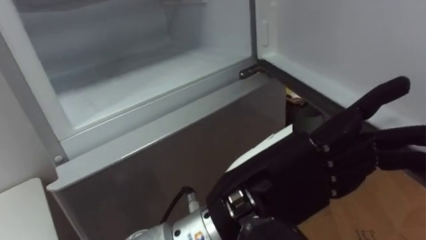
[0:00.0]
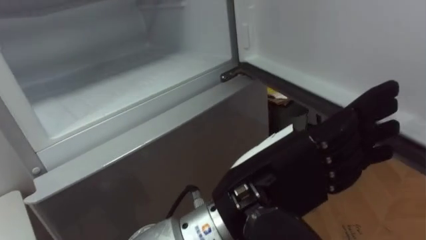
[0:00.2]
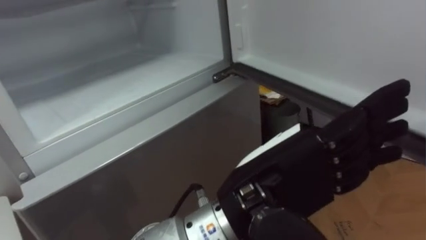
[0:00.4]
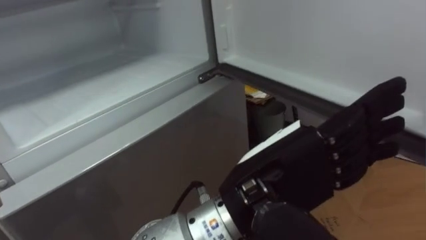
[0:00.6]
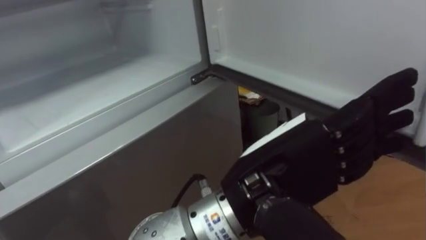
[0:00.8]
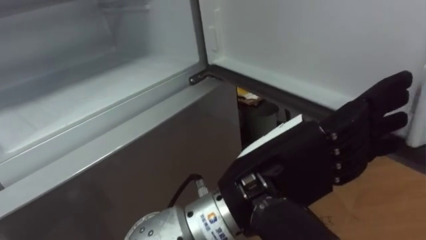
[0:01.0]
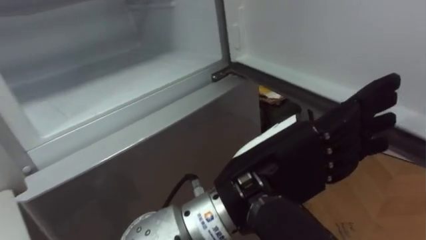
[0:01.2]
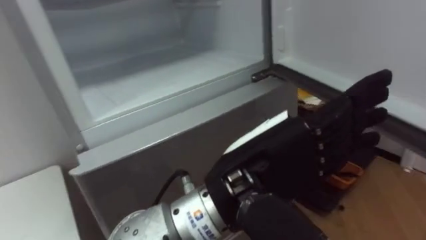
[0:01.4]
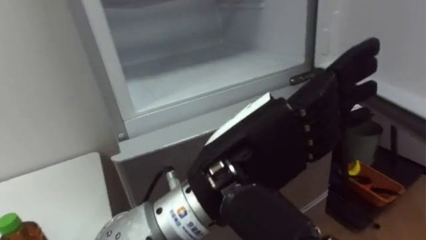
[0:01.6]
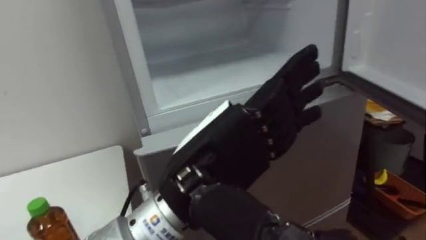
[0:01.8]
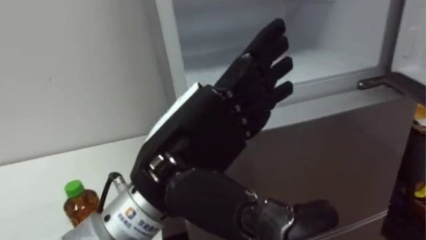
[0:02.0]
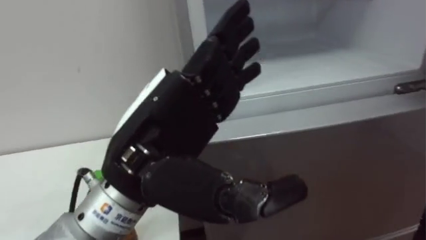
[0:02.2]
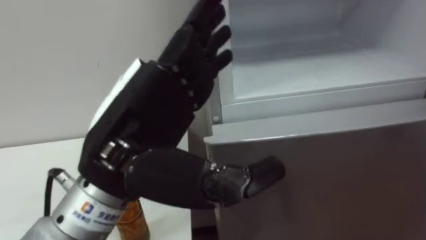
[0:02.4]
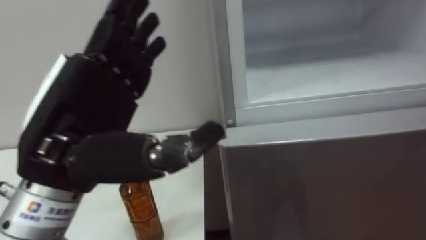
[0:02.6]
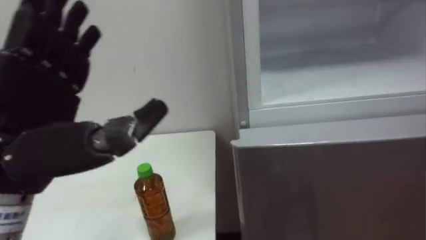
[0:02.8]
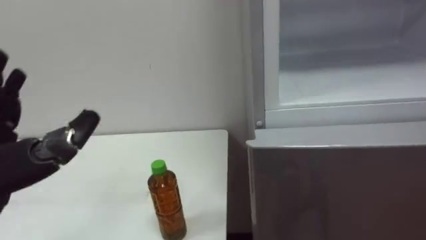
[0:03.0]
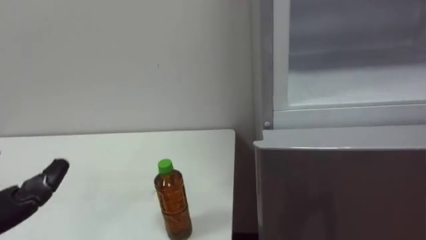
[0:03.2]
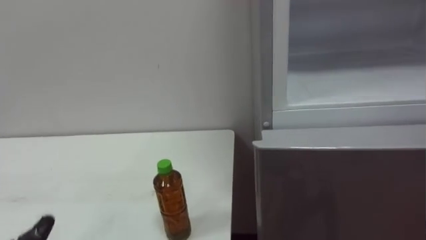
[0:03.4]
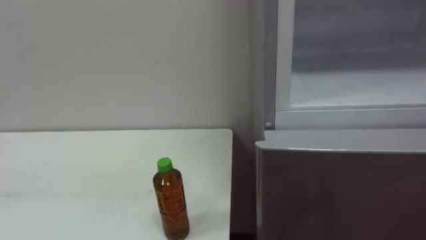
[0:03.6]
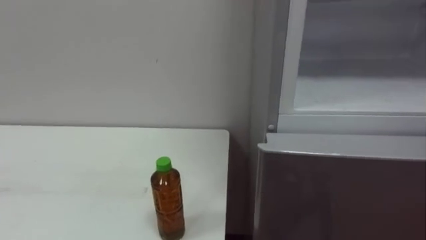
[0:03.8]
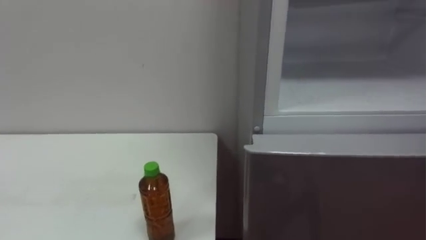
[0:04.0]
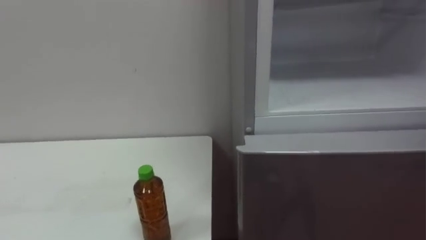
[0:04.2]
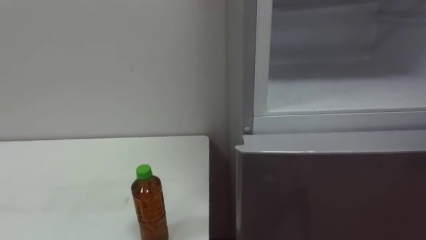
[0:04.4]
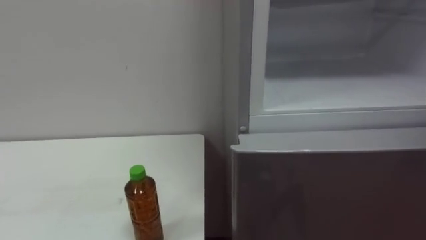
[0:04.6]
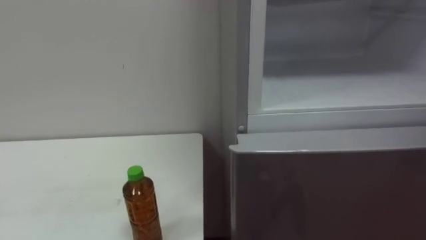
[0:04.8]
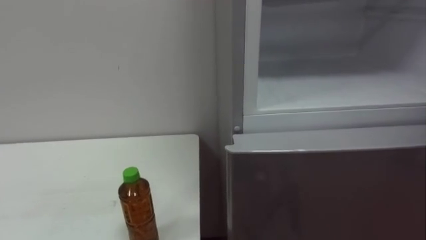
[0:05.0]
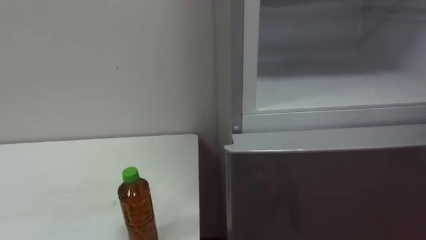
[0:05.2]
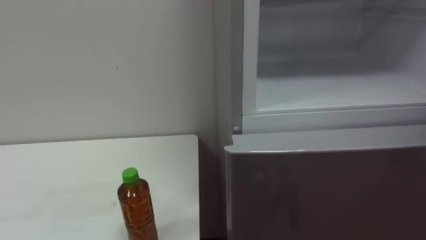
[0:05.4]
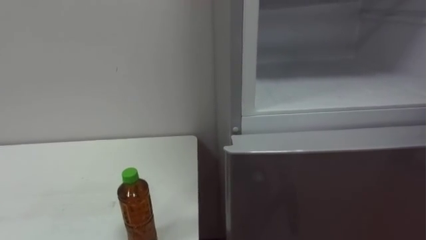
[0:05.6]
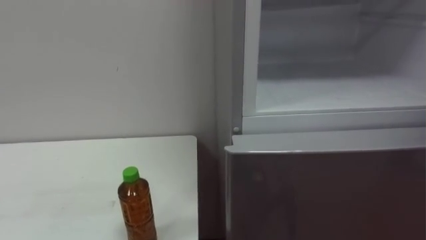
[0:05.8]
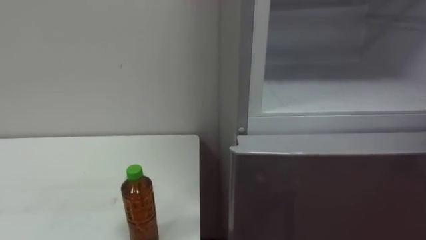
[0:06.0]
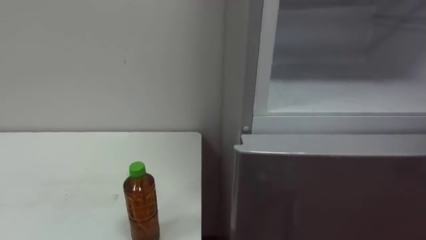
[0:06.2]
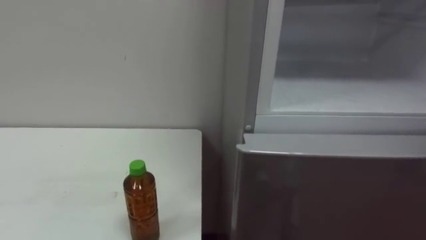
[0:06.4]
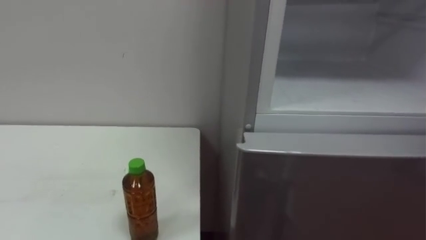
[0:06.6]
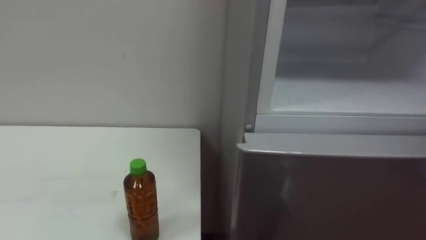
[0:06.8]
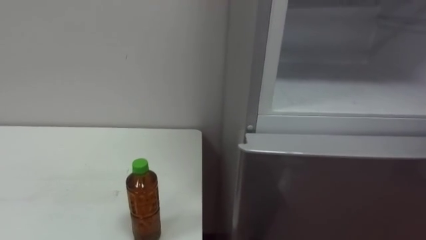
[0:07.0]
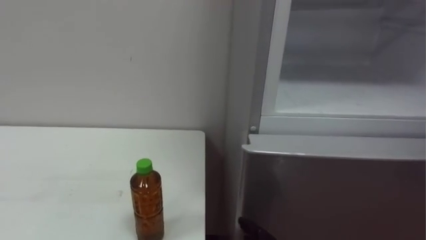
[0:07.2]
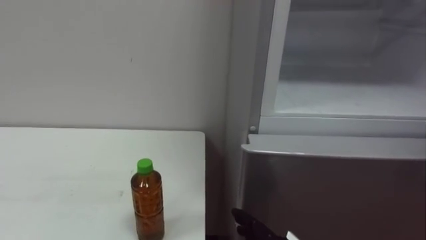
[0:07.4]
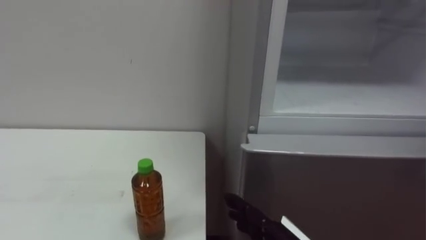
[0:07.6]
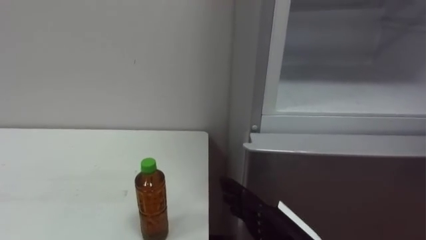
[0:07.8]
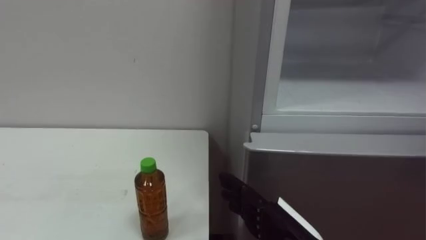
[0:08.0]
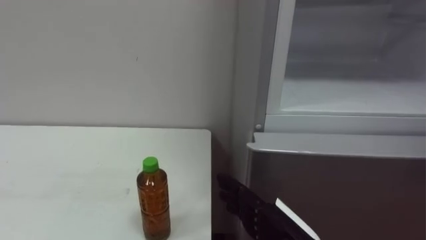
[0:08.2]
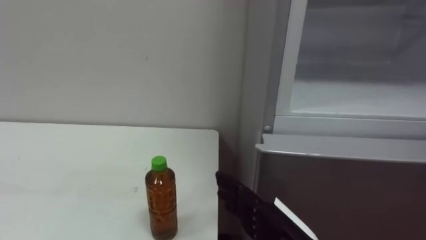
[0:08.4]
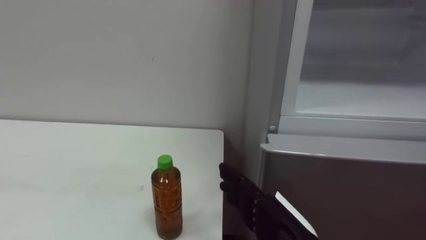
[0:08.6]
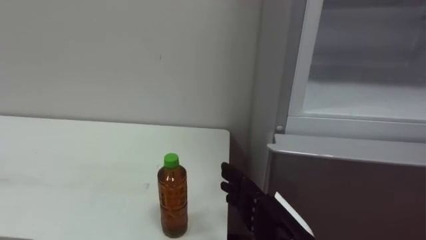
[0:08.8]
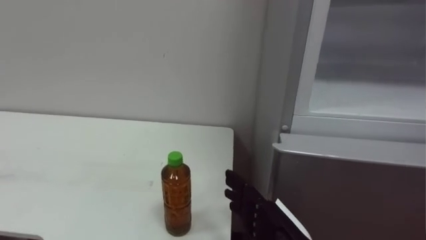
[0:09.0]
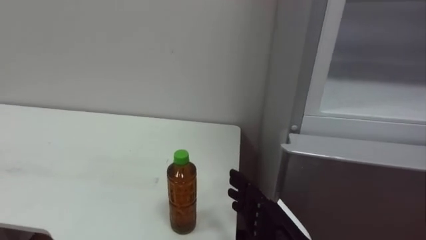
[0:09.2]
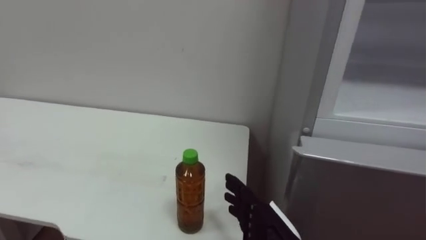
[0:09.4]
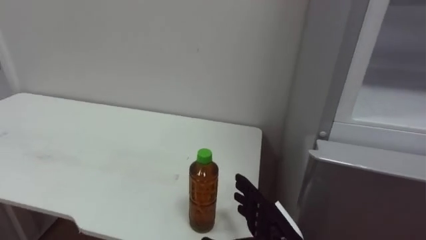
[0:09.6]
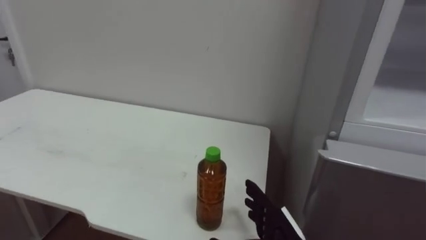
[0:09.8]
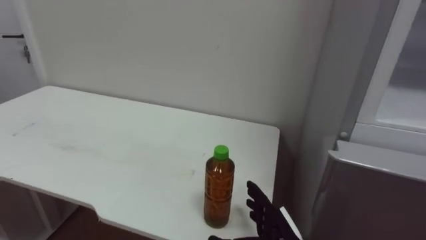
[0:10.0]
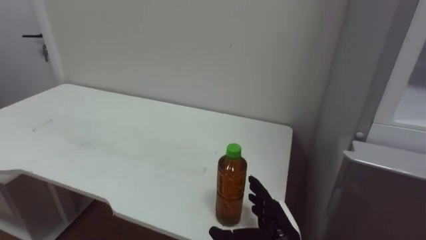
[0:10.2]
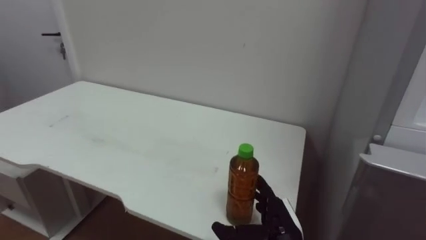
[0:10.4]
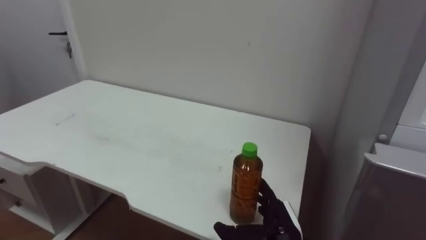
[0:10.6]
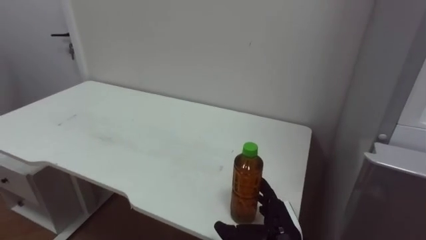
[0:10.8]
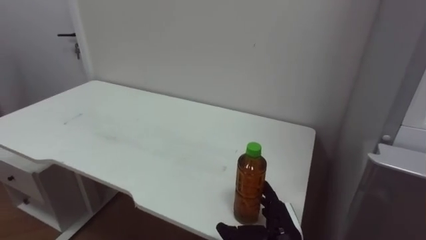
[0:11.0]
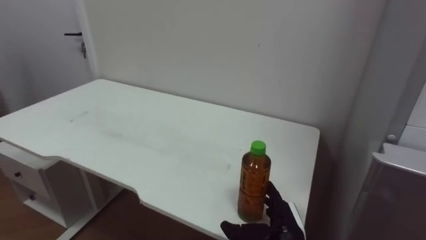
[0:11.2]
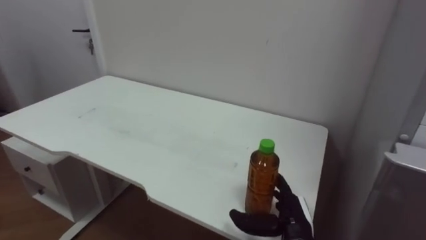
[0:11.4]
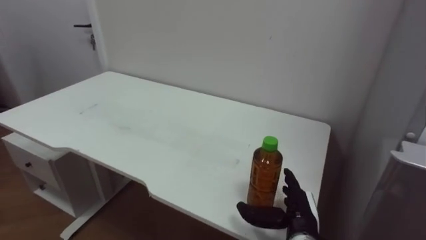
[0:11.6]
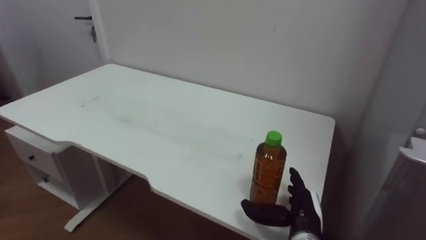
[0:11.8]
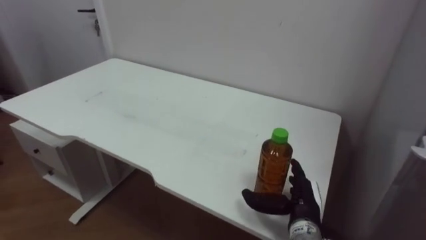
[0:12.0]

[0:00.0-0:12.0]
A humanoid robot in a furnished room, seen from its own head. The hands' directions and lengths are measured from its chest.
Task of the whole recording: Open the upper refrigerator door, put the drink from the table into the refrigerator, and then close the refrigerator door.
0:09.0 to 0:10.4: The right hand is displaced downward and forward by about 10 cm.
0:10.4 to 0:12.0: The right hand shifts by approximately 5 cm.

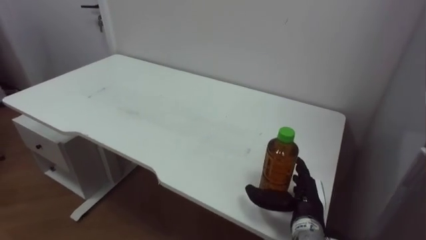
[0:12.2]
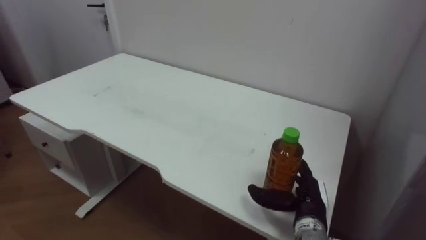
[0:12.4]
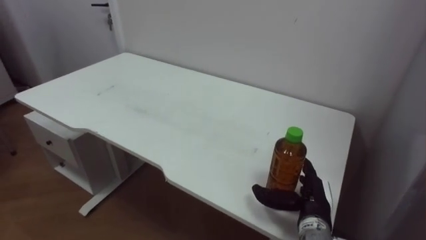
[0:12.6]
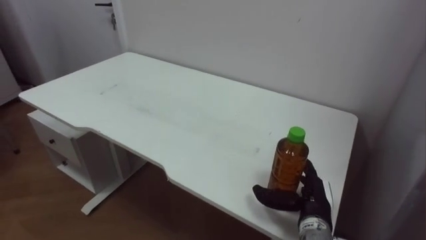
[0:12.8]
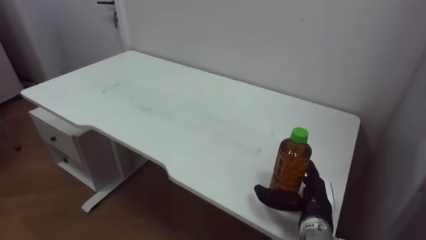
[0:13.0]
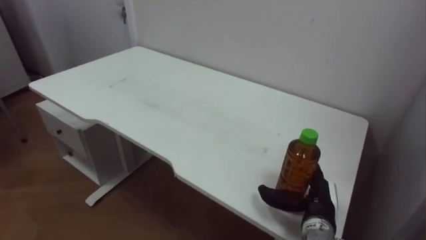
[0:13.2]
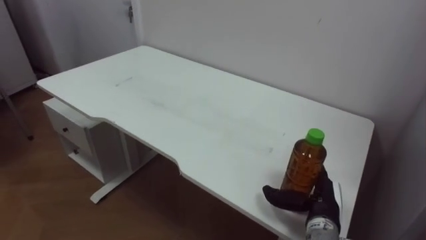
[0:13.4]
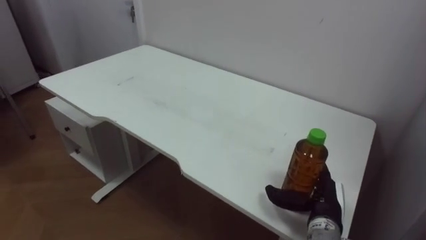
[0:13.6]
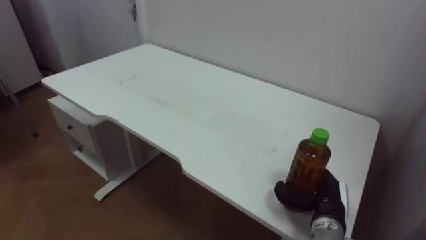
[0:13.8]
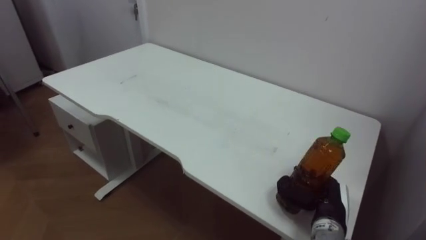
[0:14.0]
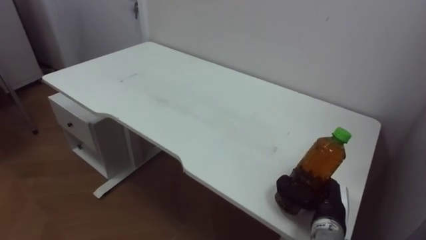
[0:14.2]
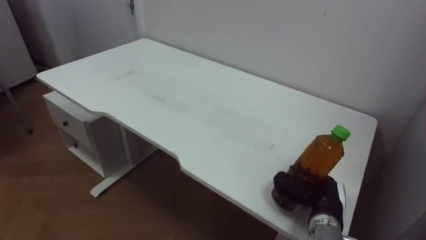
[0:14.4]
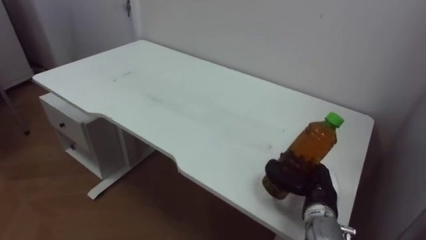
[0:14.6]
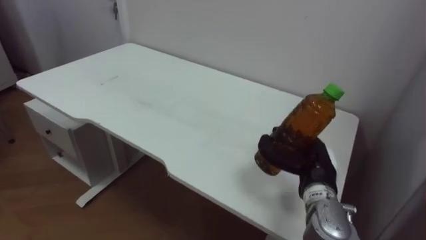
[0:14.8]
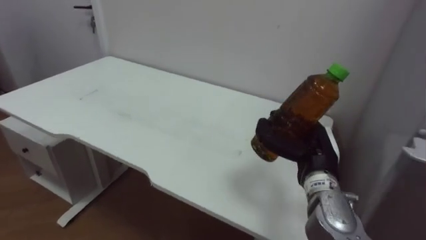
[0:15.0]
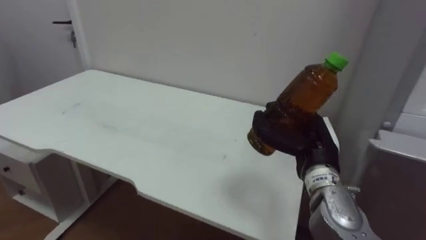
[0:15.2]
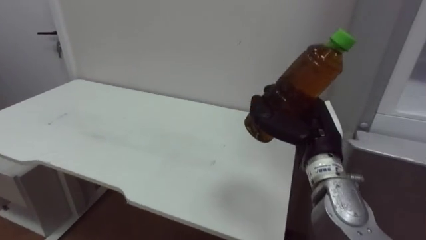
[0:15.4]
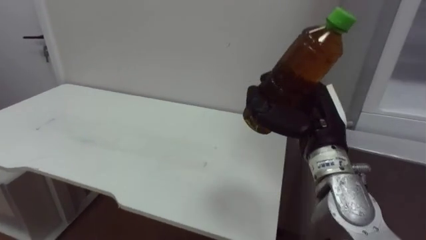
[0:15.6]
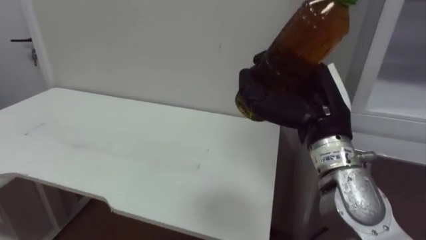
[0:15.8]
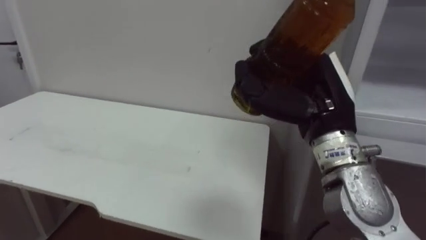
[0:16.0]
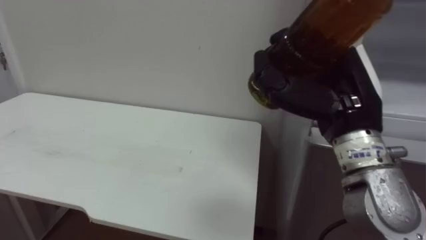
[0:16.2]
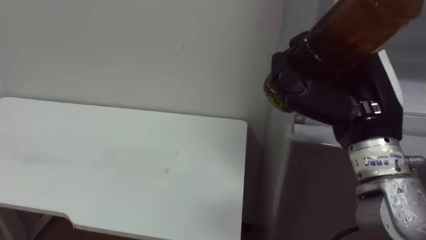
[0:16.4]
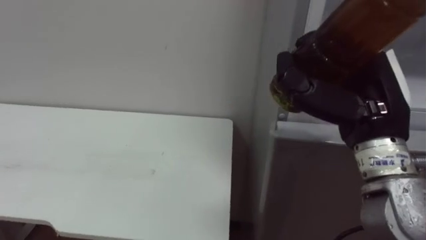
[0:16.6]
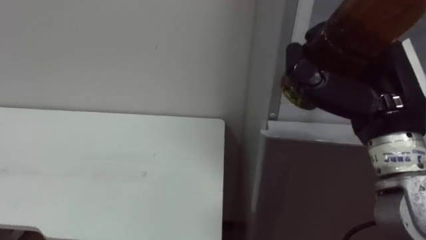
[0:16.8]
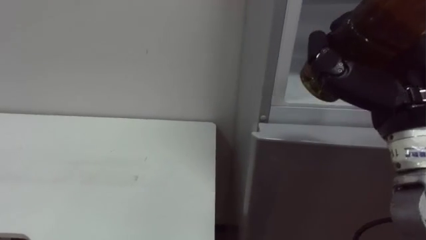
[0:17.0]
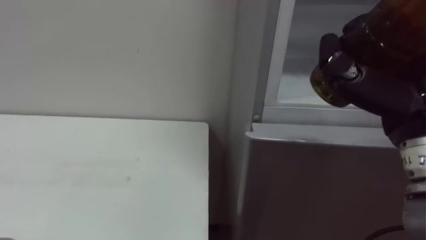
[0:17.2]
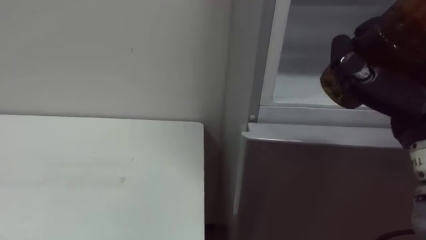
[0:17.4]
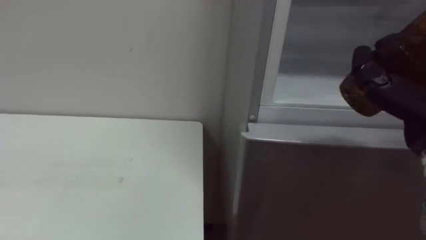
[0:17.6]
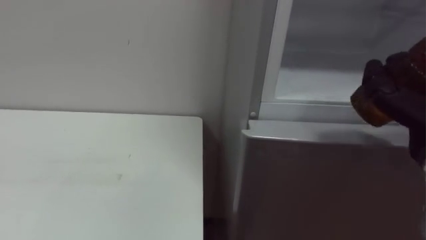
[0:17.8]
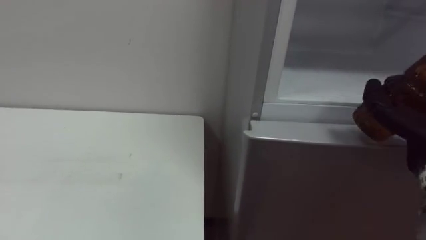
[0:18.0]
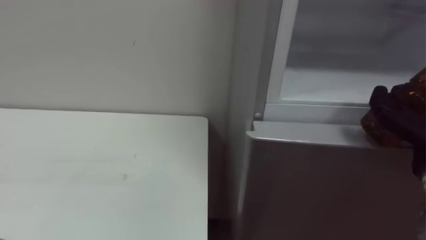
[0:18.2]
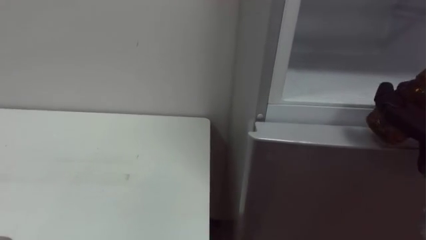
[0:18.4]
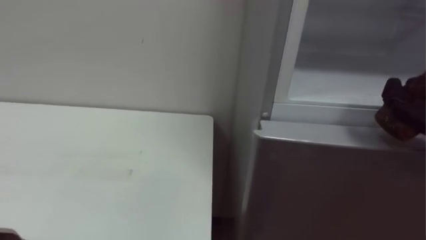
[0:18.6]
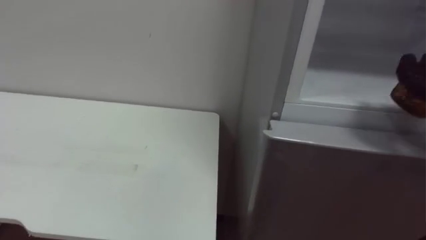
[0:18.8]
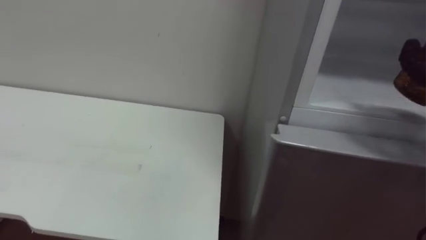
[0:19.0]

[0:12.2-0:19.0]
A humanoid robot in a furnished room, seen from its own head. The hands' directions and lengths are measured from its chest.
Task of the whole recording: Open the upper refrigerator door, put the drink from the table into the refrigerator, and then close the refrigerator door.
0:13.6 to 0:15.0: The right hand goes roughly 10 cm upward, and closes.
0:15.0 to 0:16.2: The right hand moves upward and backward, roughly 15 cm.
